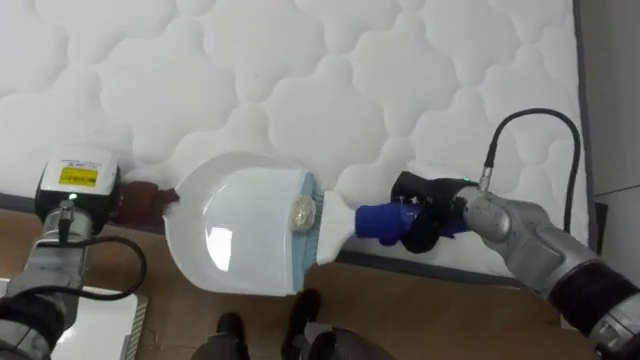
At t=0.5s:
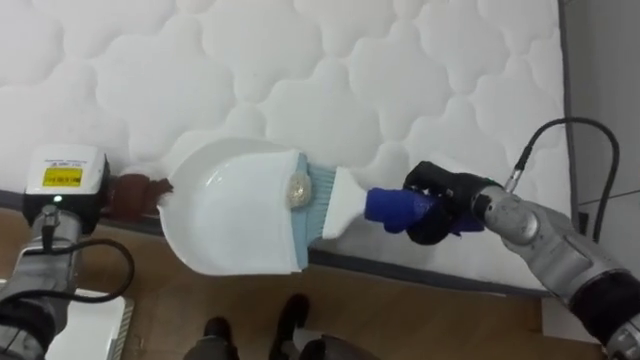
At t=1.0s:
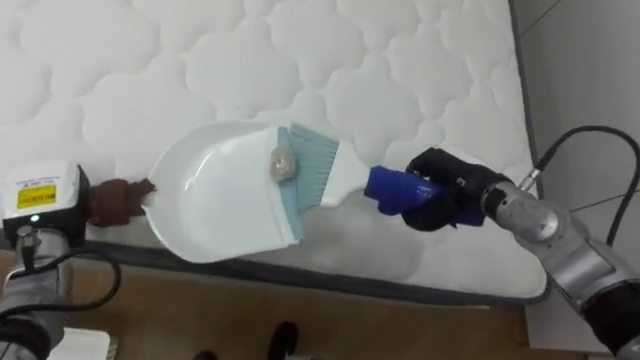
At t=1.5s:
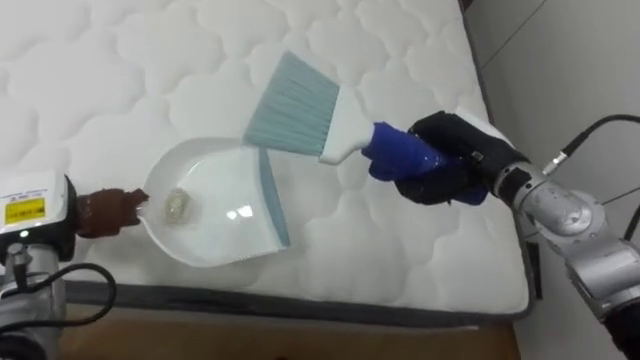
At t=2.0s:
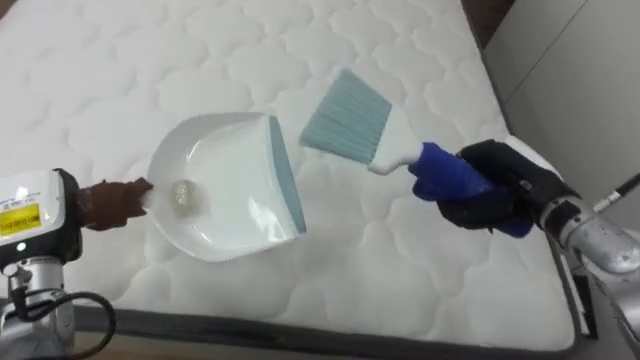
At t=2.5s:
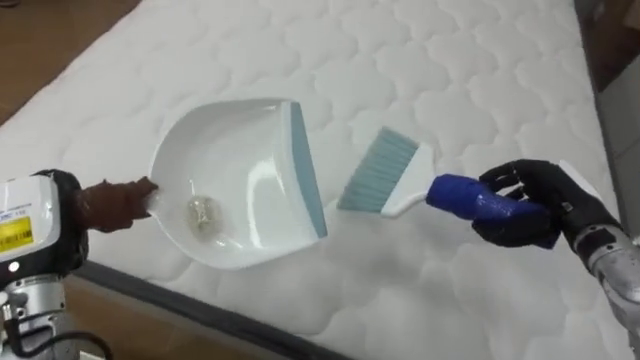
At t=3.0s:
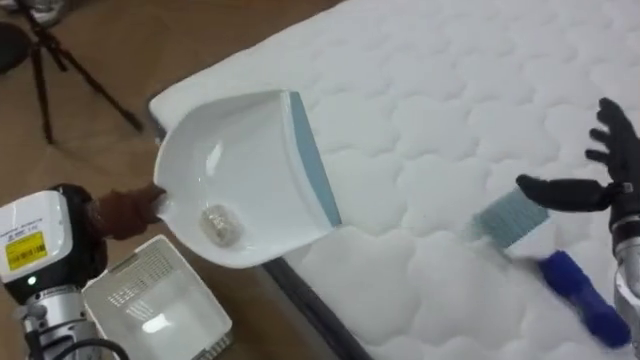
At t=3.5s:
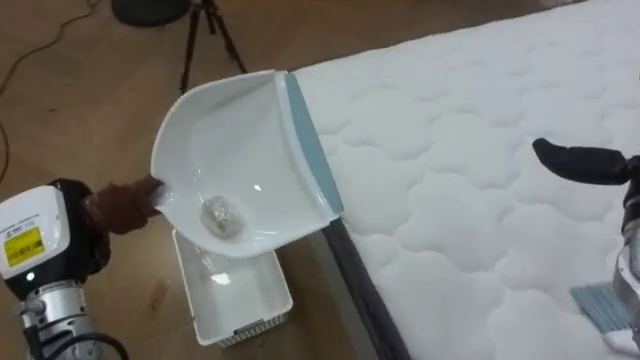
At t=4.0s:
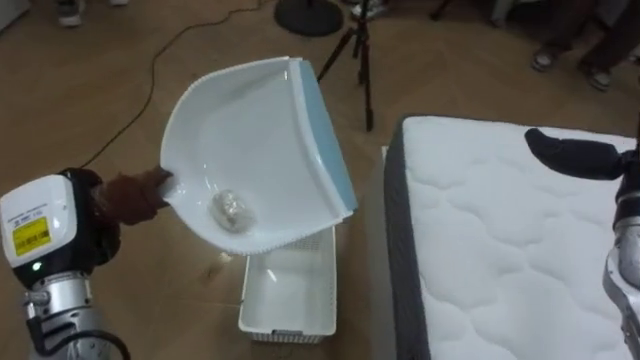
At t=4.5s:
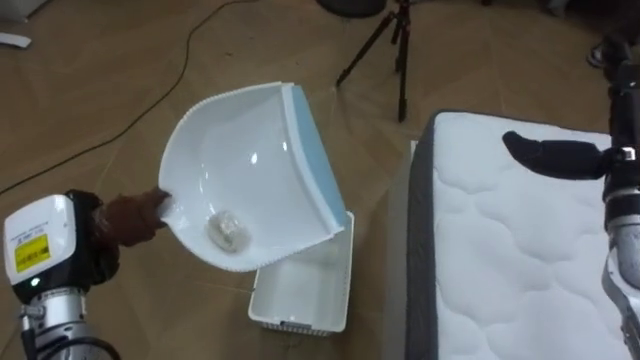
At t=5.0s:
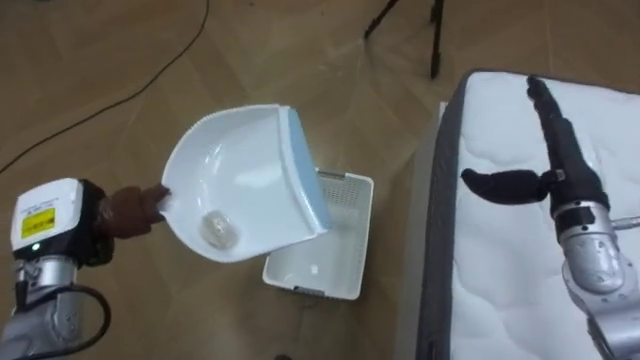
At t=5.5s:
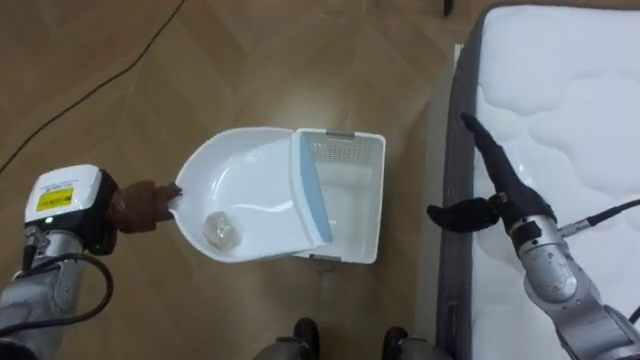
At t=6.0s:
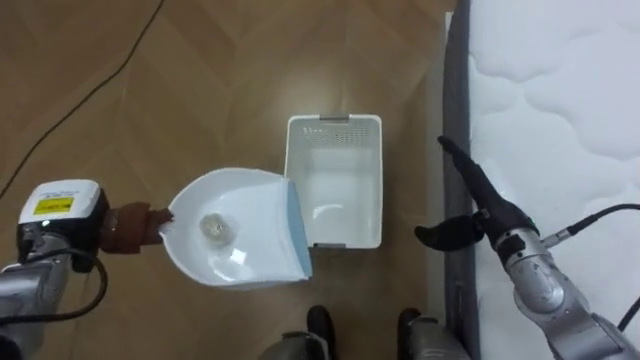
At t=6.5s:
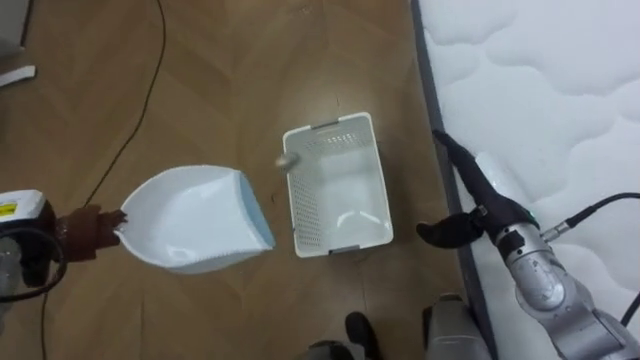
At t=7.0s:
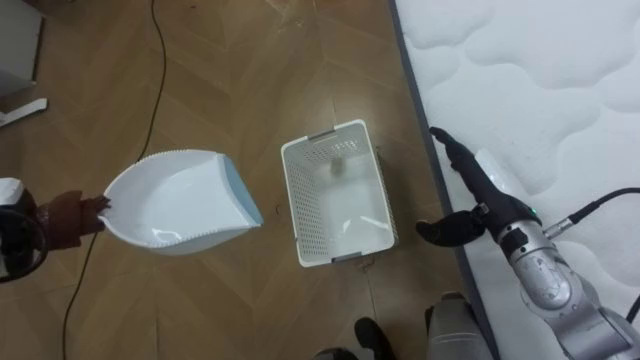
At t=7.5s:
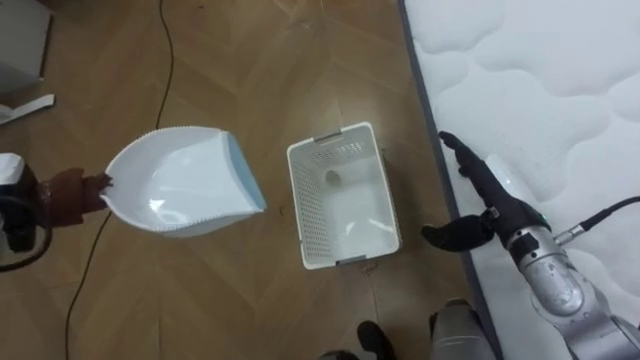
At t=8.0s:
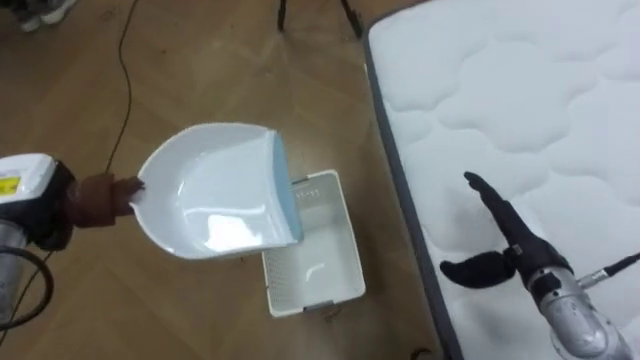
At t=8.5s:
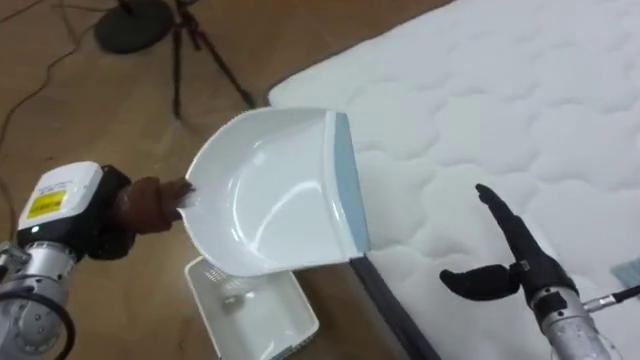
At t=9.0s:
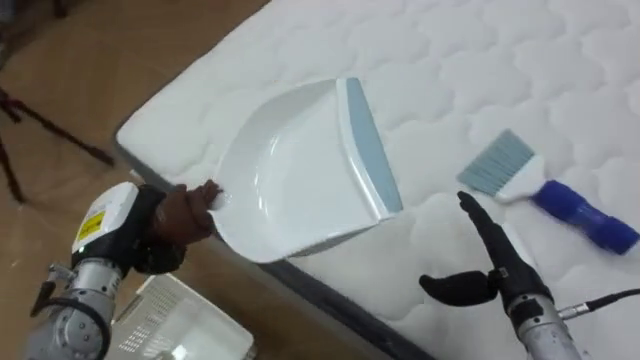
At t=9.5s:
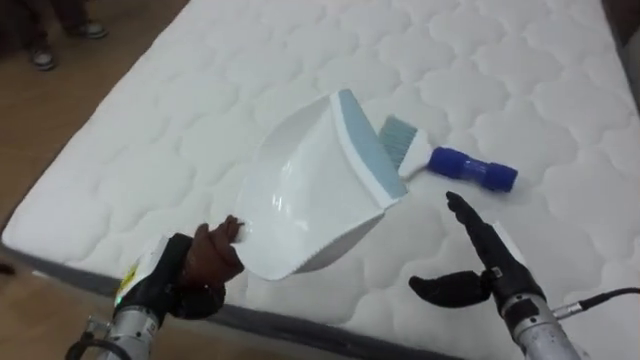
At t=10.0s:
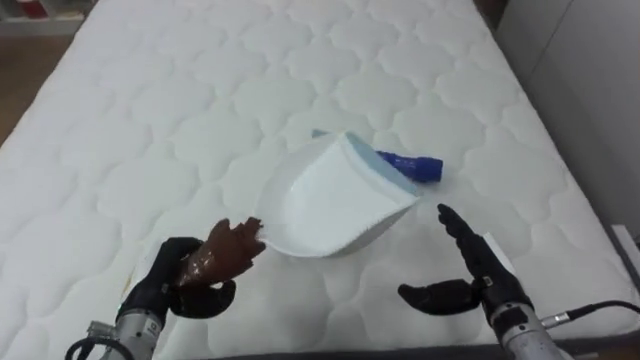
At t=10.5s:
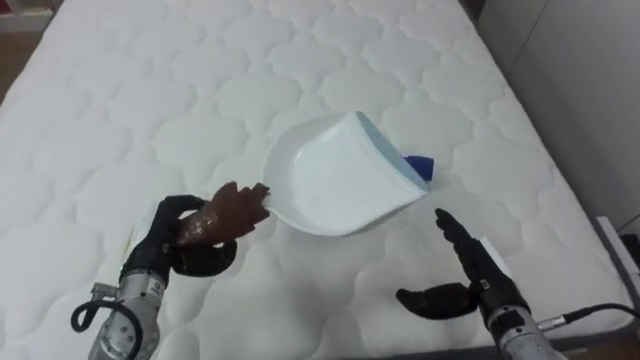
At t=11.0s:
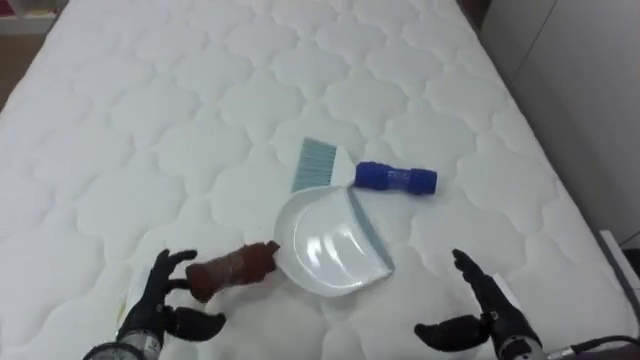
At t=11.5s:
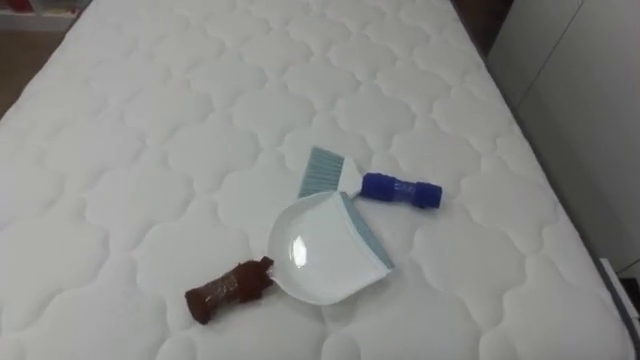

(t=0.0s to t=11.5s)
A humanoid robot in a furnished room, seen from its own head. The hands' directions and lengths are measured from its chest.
Task of the whole recording: Pick up the brush on your right and the dustpan on your left. Use the brush to sweep the crumpled paper on the bed into the dustpan, then turn left and empty it into the basket.
t=0.0s - t=2.0s: The right hand heads to the right and upward, covering roughly 10 cm; the left hand heads backward, covering about 5 cm.
t=2.0s - t=4.0s: The robot's body swings approximately 85 degrees to its left. The left hand ends up approximately 5 cm from where it was.
t=4.0s - t=6.0s: The left hand travels forward and downward by roughly 10 cm.
t=7.5s - t=9.5s: The robot rotates roughly 85 degrees to its right. The right hand heads backward and downward, covering some 10 cm.
t=9.5s - t=11.5s: The robot turns to its right by some 20 degrees.

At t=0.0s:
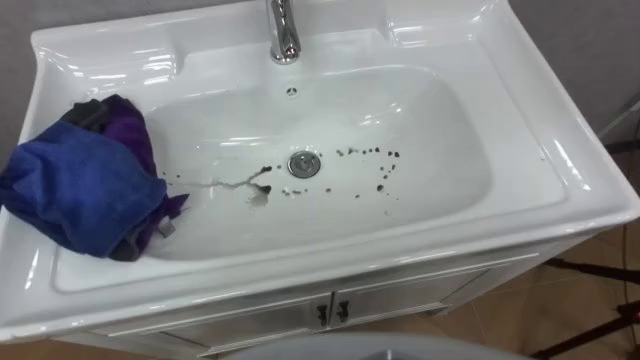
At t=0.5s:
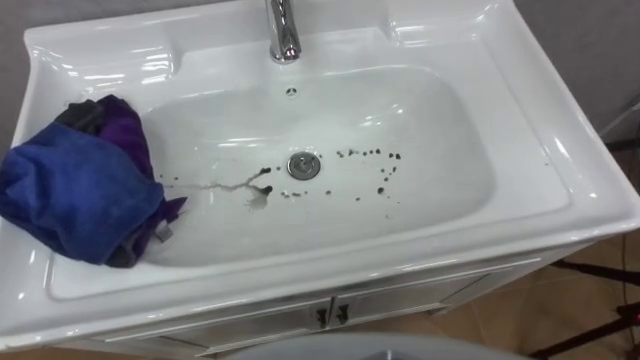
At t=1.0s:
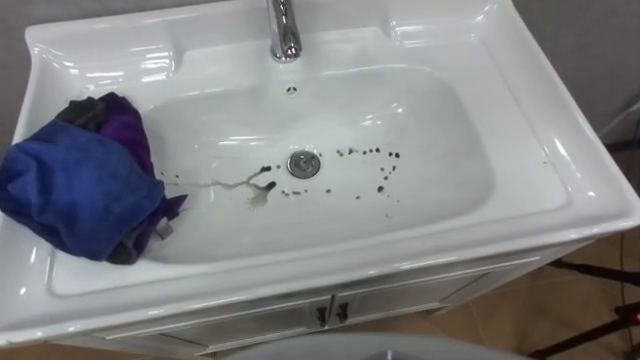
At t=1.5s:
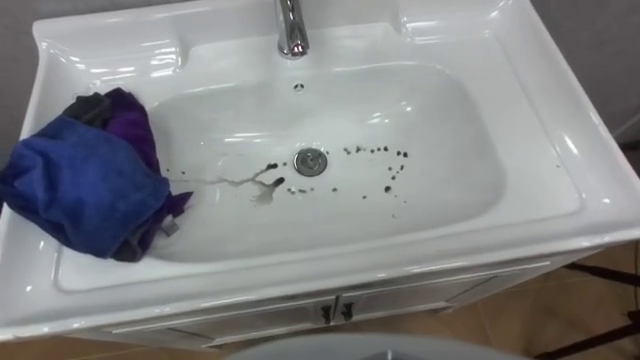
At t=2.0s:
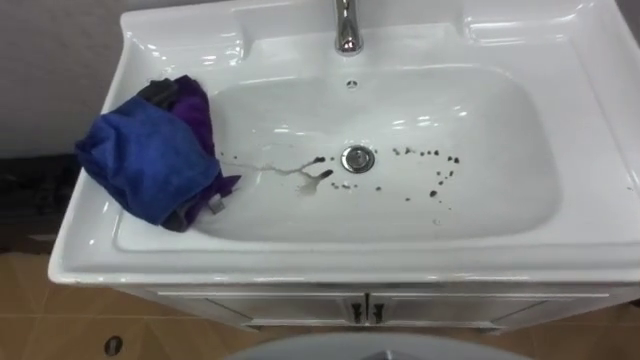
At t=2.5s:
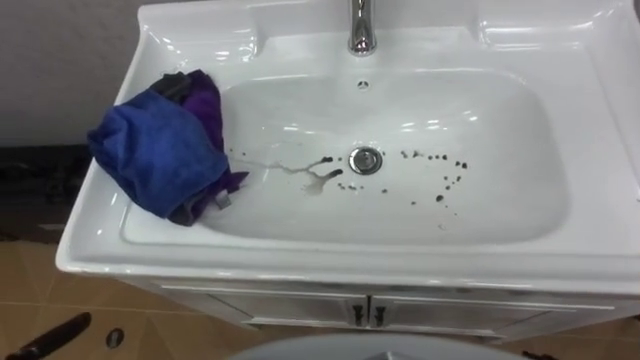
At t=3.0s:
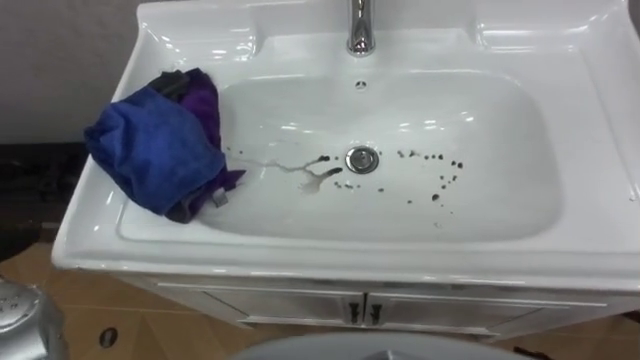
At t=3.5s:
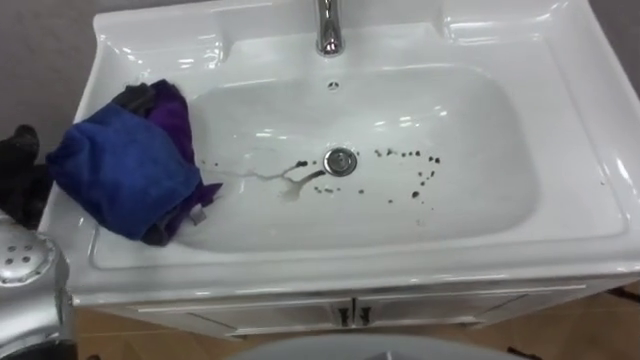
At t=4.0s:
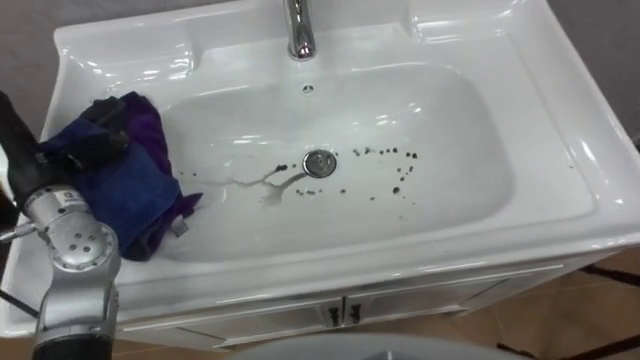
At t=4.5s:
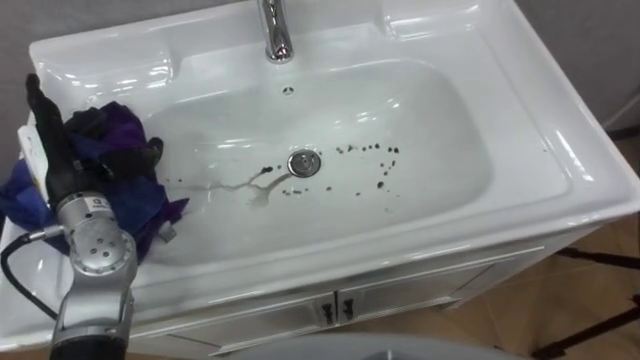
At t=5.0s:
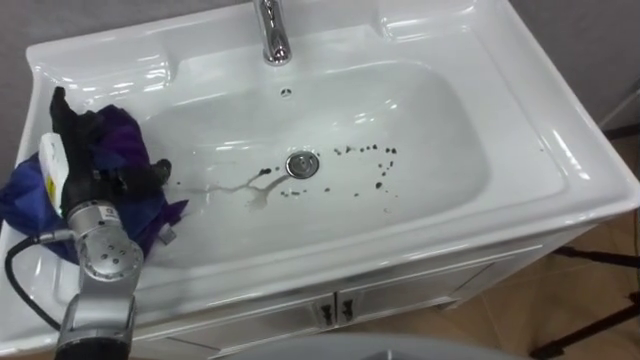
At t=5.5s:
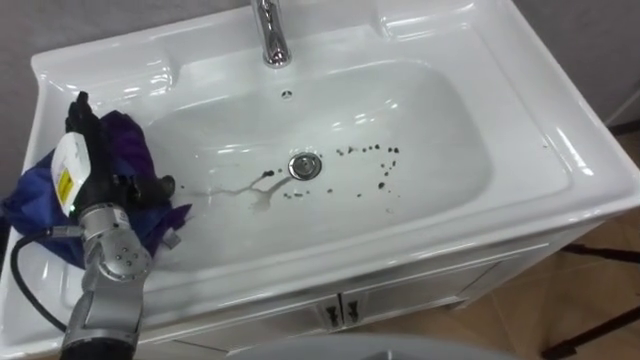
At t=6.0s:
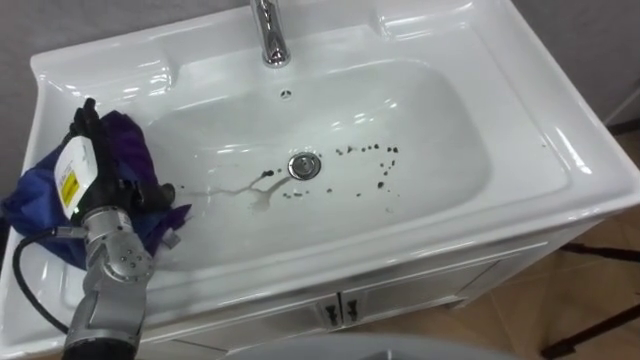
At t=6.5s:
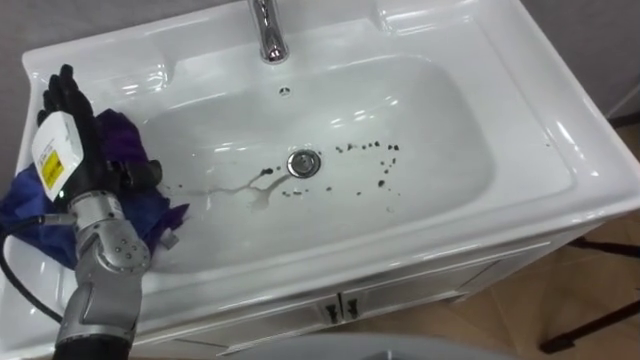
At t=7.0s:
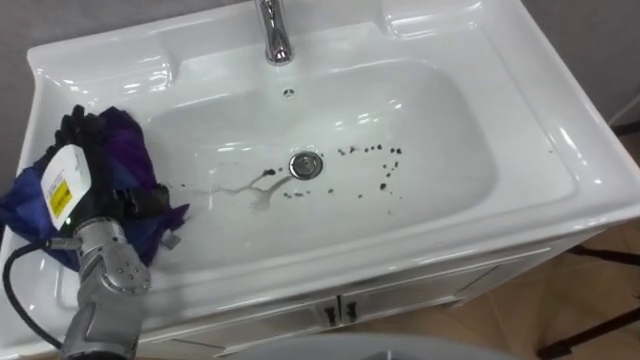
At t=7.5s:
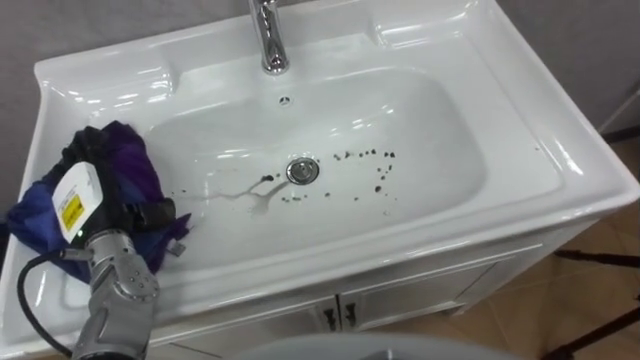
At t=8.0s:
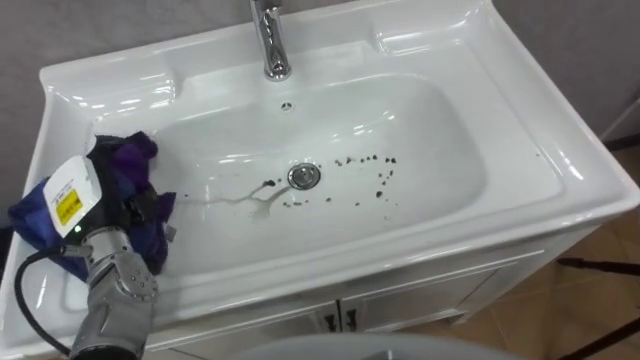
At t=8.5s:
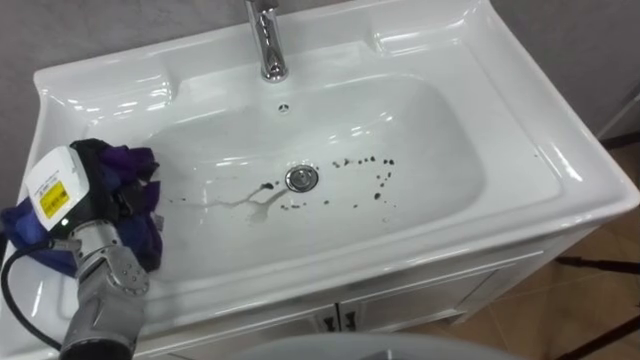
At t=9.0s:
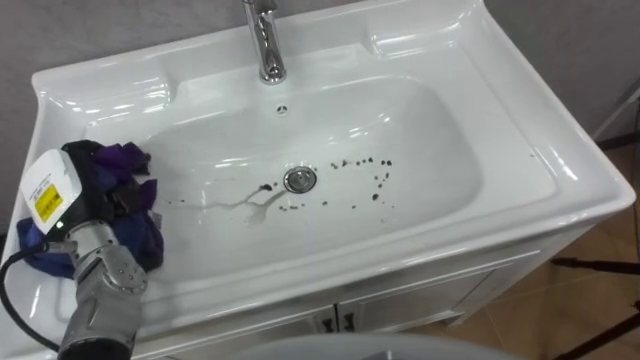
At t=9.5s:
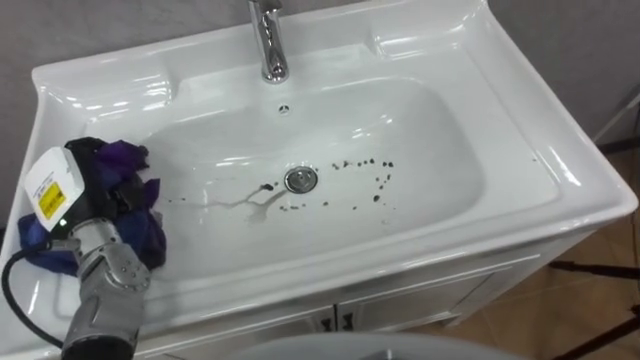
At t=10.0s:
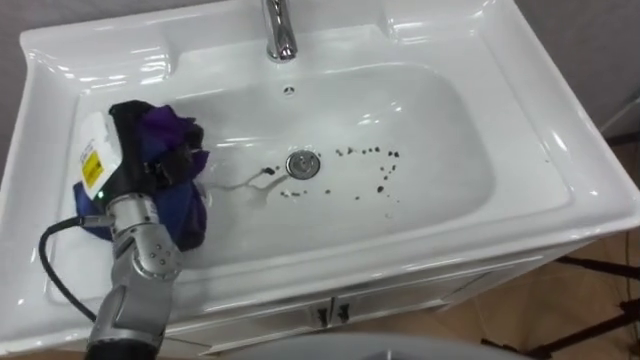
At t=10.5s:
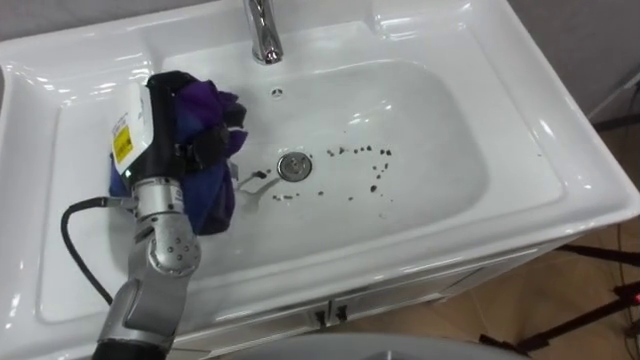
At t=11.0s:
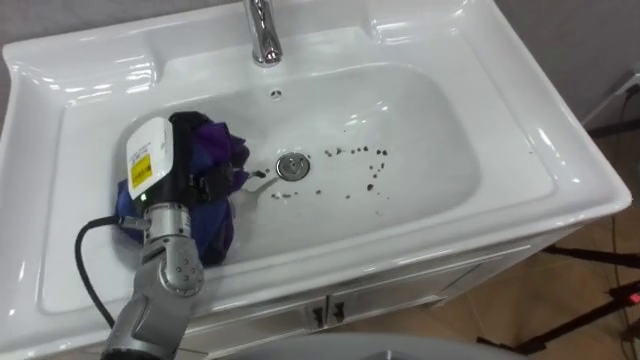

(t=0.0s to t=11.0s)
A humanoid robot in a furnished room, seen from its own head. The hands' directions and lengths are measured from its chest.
Task of the whole recording: Use the cloth on the right to wipe away the black stain in the sink.
t=7.5s - t=9.0s: The left hand closes up.
t=9.0s - t=11.0s: The left hand moves to the right, some 10 cm.
